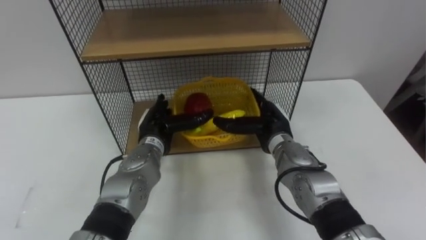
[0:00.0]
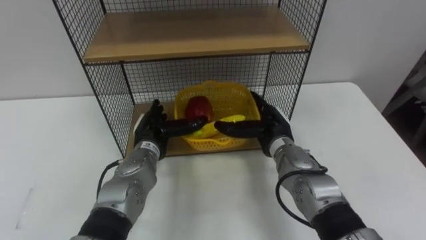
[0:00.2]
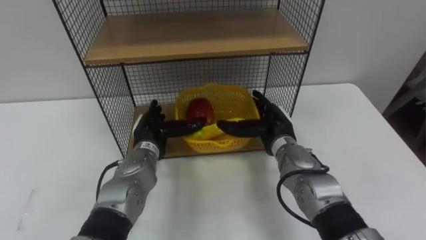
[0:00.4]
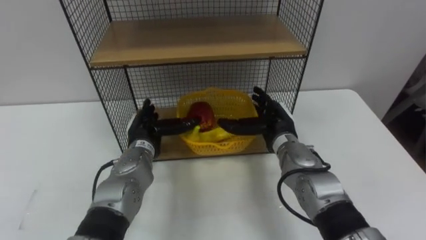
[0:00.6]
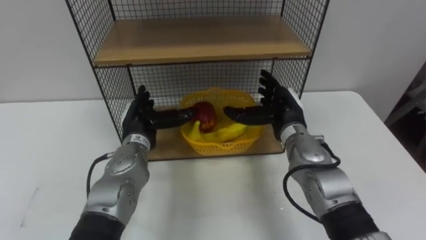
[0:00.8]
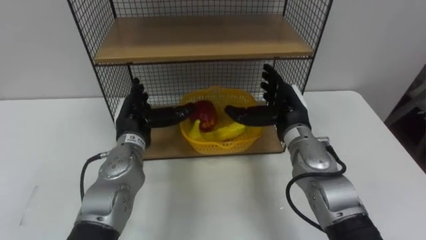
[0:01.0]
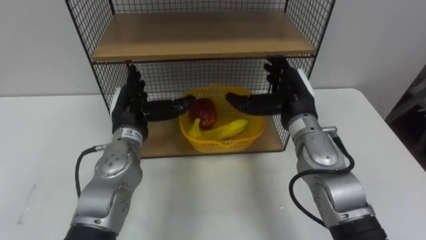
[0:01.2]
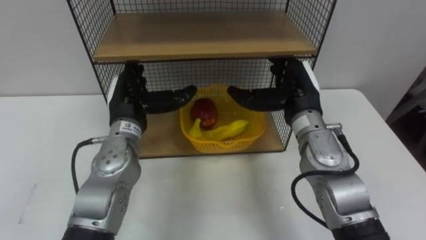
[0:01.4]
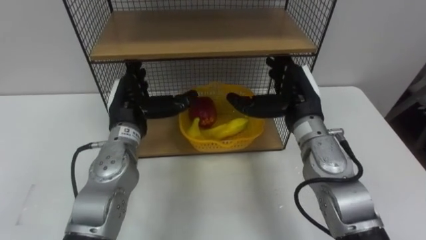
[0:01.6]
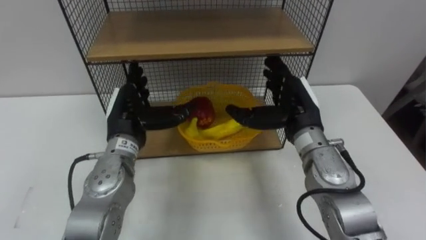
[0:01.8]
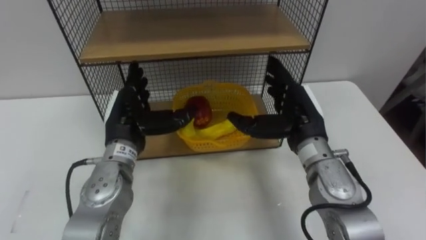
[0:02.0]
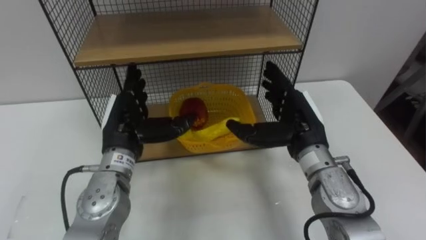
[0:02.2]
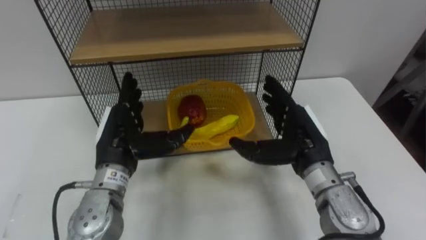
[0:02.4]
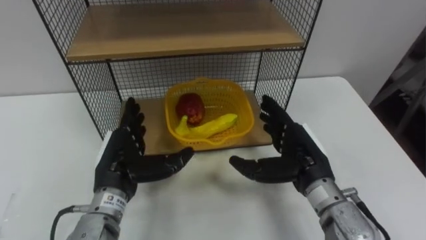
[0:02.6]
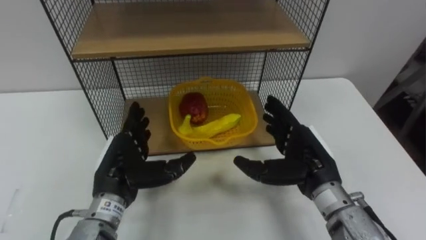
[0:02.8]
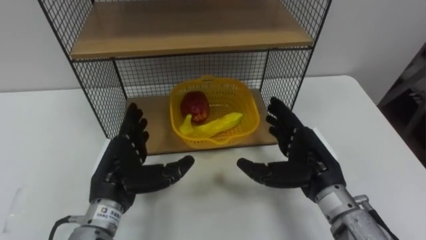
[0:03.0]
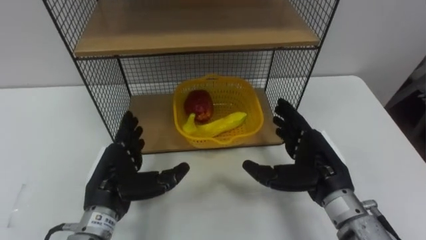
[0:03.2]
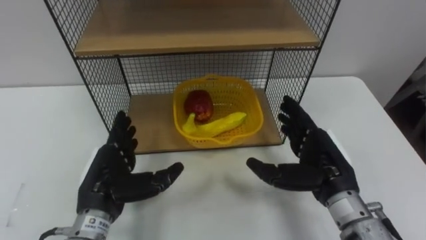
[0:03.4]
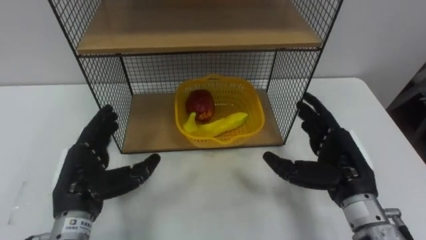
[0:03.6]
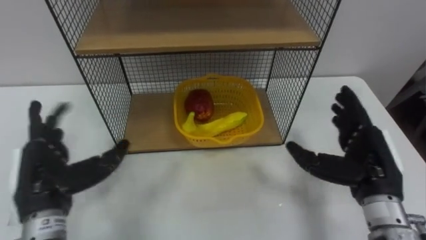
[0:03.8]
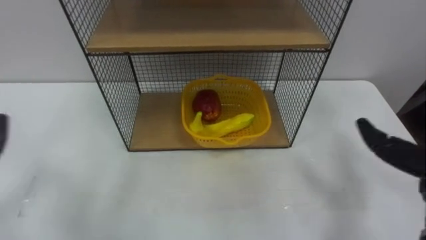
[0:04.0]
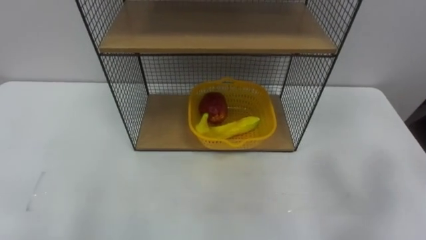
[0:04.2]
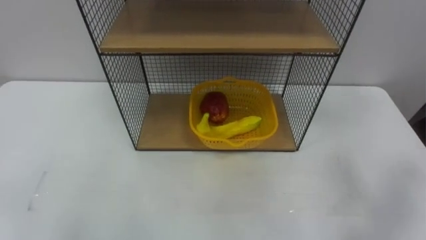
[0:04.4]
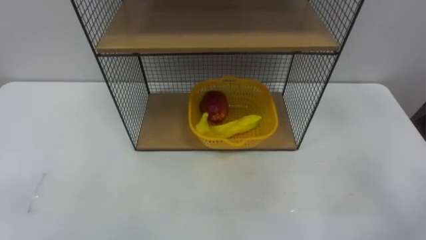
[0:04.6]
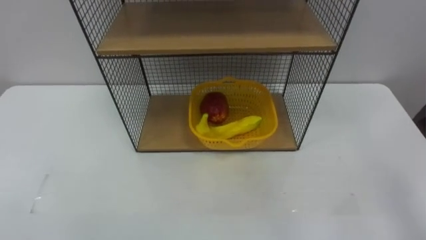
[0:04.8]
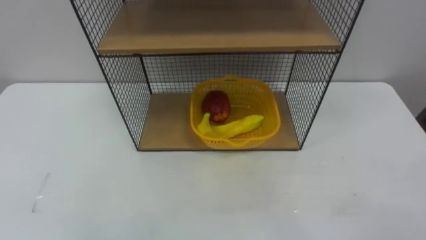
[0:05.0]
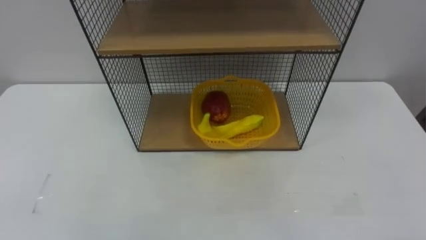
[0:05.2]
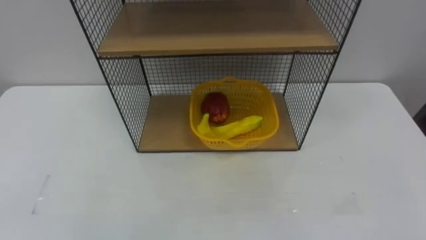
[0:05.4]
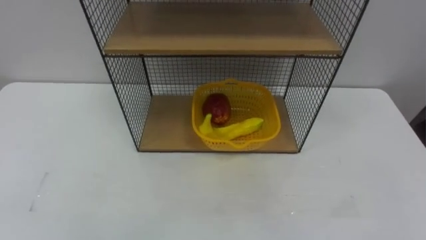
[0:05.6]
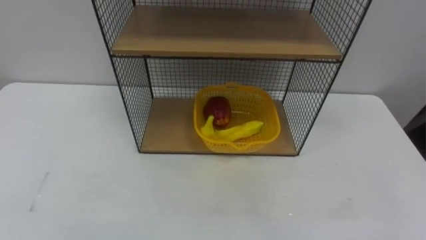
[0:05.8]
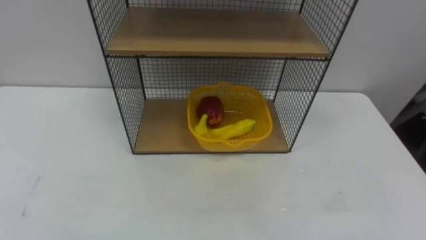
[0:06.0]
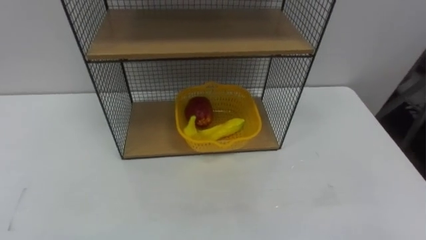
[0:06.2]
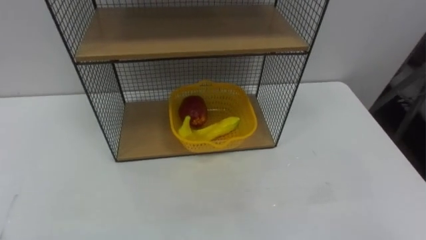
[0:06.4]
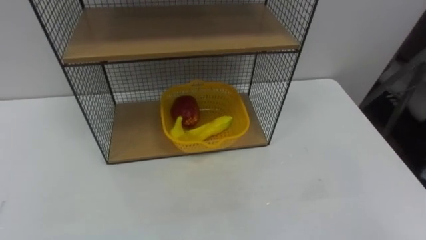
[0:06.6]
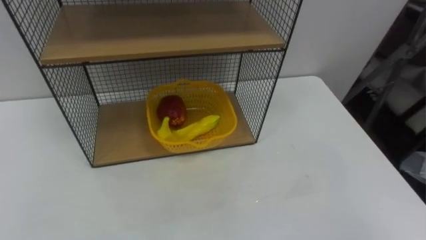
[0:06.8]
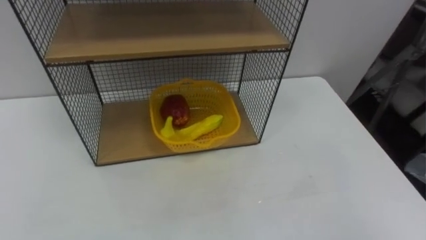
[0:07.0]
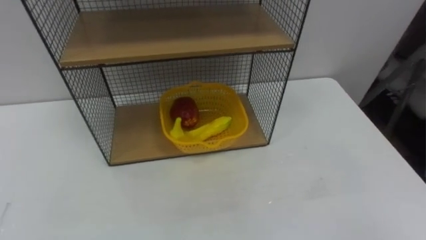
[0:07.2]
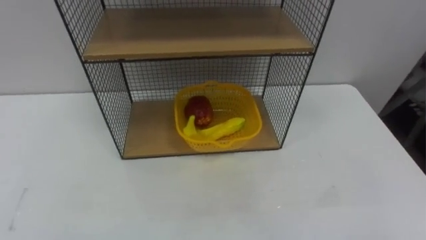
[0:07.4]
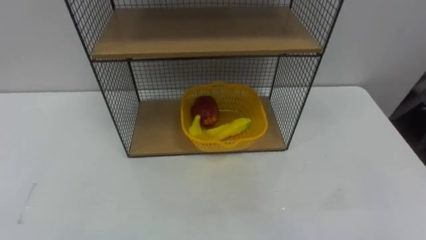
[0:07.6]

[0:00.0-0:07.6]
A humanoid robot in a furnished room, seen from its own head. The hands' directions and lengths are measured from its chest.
Task of the whole recording: Put the fruit on the table into the basket, then place the basket on the shelf.
0:00.0 to 0:01.6: Both hands travel together upward, roughly 10 cm.
0:01.6 to 0:03.0: The left hand travels backward by about 10 cm, while the right hand shifts roughly 10 cm backward and downward.

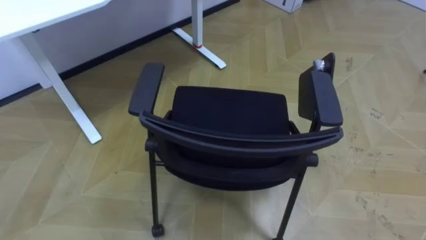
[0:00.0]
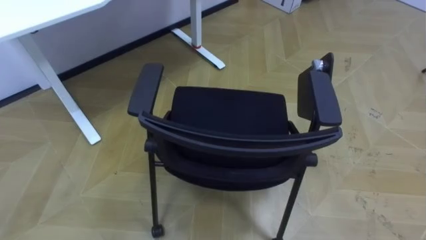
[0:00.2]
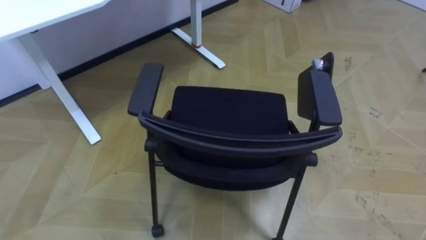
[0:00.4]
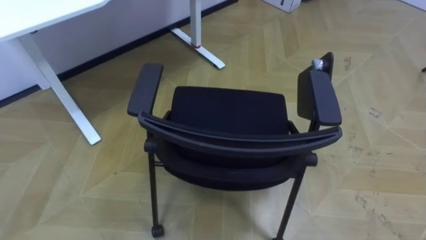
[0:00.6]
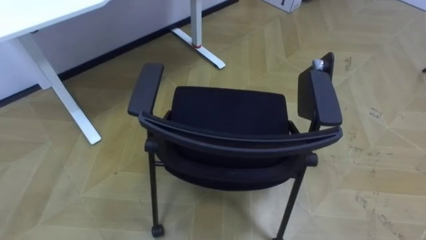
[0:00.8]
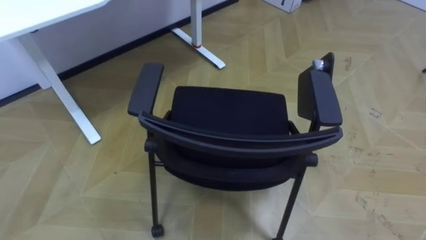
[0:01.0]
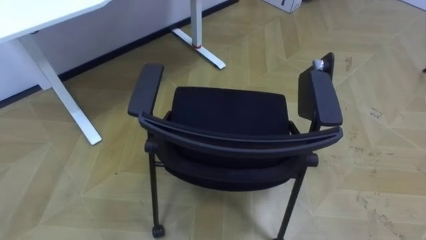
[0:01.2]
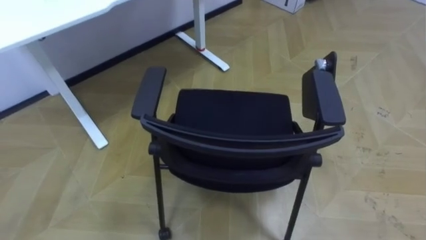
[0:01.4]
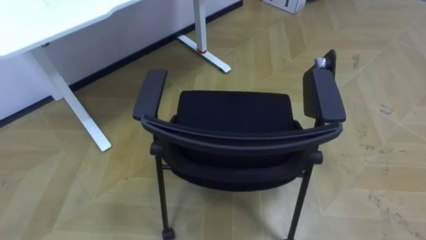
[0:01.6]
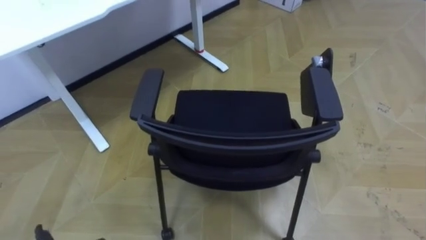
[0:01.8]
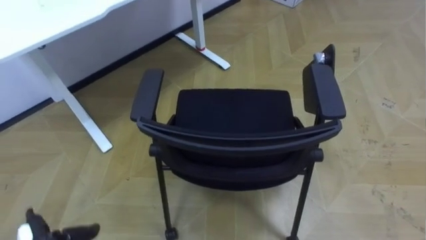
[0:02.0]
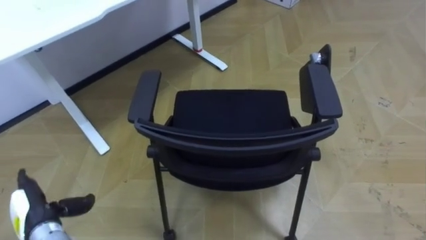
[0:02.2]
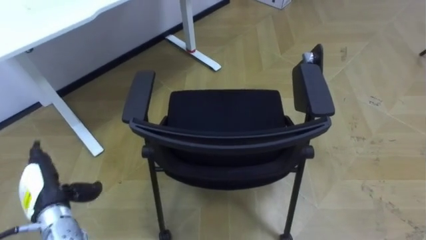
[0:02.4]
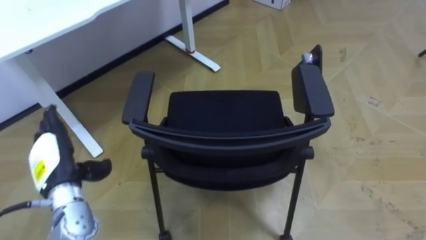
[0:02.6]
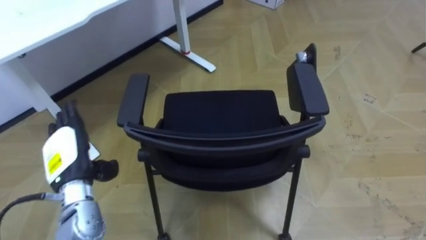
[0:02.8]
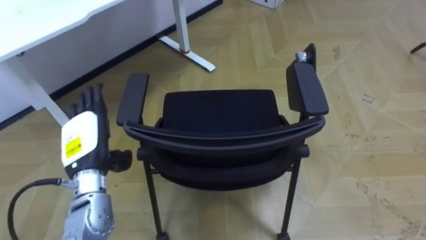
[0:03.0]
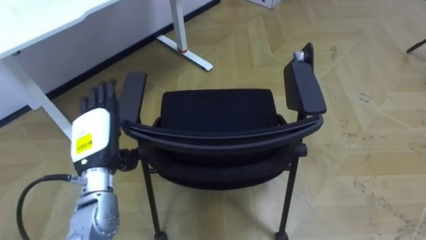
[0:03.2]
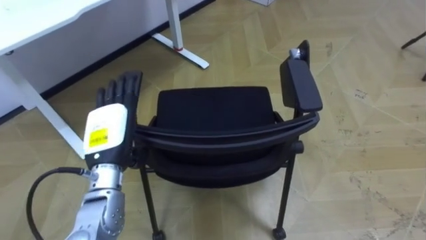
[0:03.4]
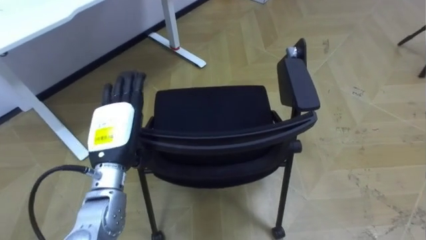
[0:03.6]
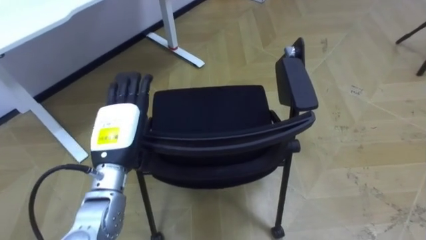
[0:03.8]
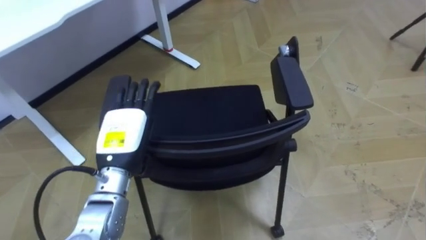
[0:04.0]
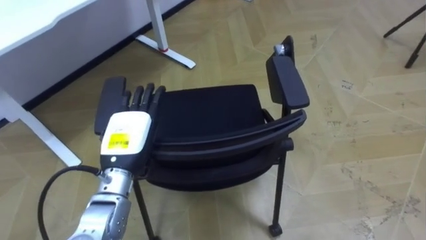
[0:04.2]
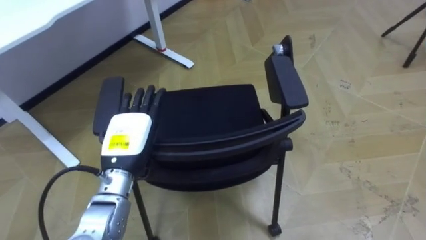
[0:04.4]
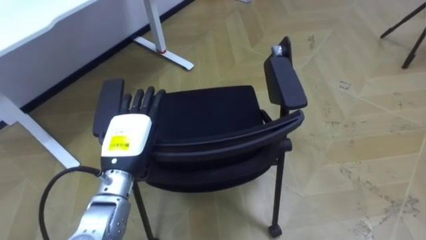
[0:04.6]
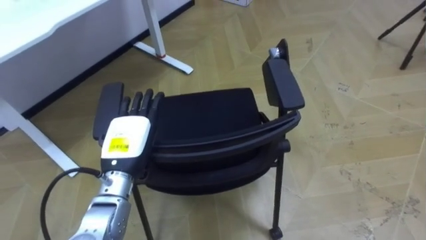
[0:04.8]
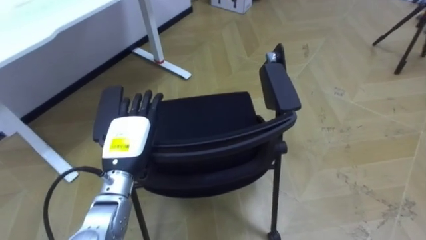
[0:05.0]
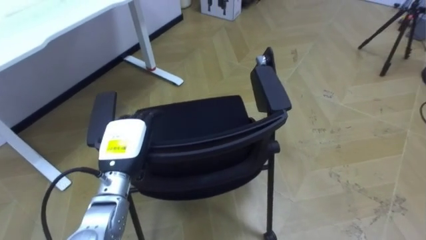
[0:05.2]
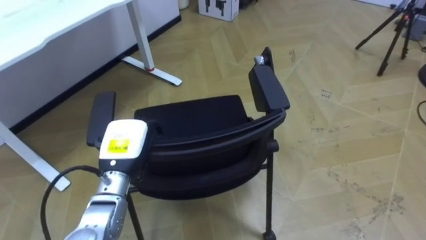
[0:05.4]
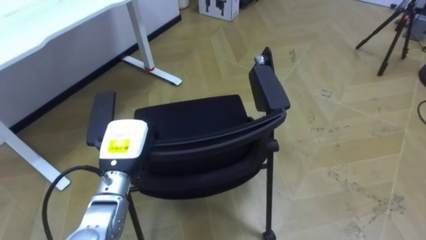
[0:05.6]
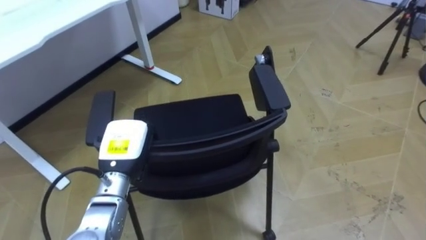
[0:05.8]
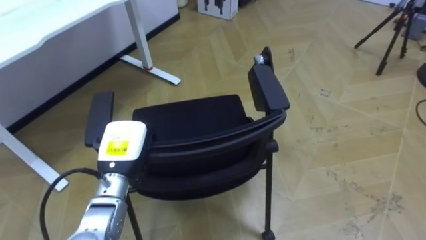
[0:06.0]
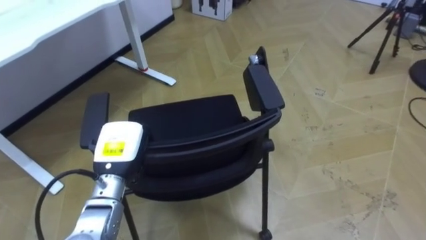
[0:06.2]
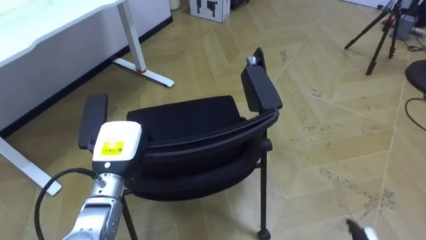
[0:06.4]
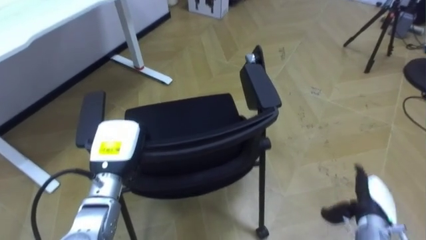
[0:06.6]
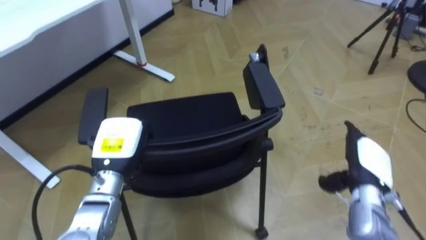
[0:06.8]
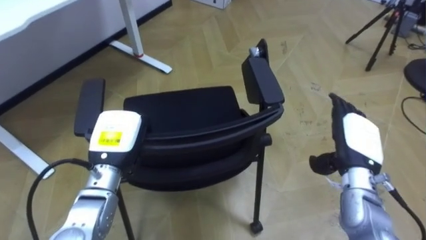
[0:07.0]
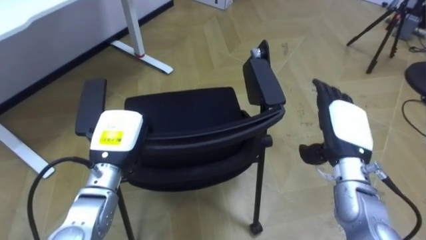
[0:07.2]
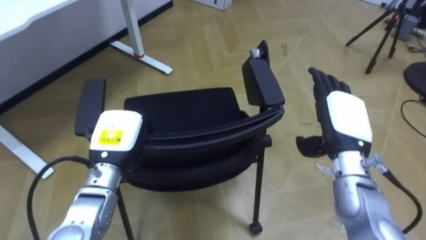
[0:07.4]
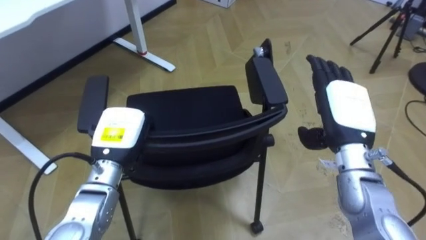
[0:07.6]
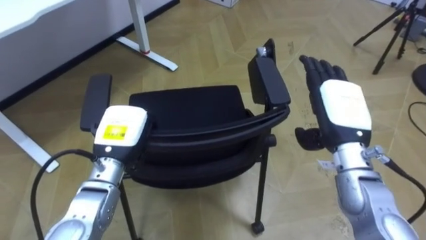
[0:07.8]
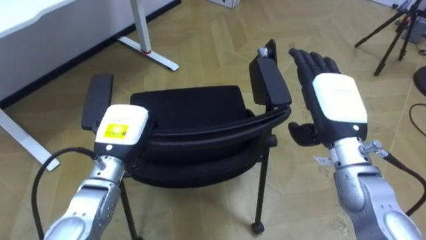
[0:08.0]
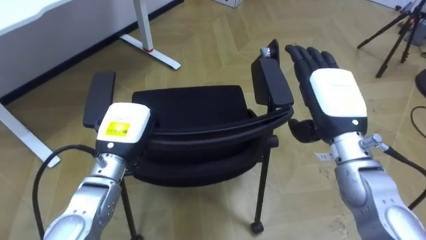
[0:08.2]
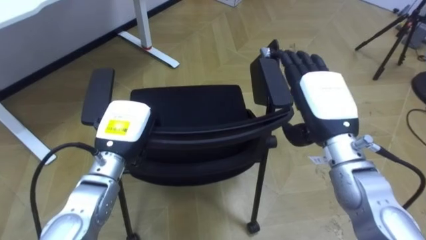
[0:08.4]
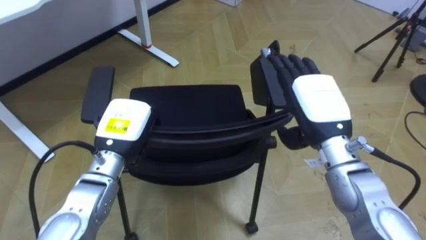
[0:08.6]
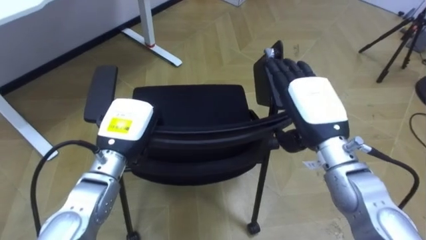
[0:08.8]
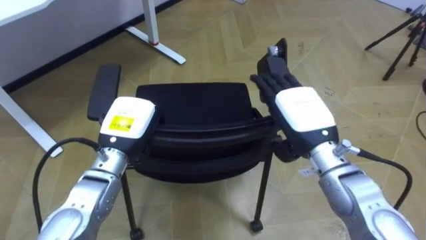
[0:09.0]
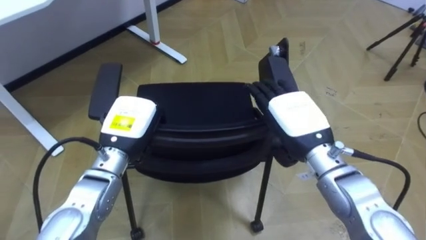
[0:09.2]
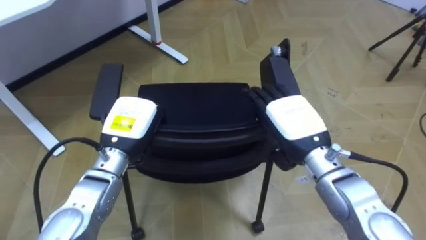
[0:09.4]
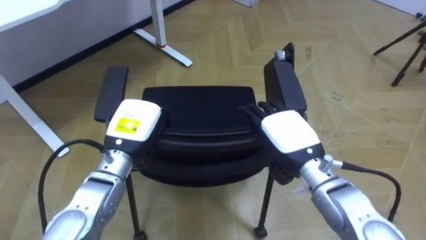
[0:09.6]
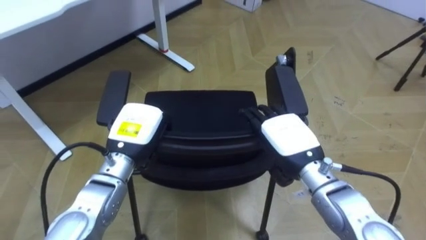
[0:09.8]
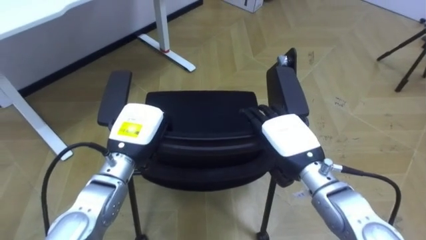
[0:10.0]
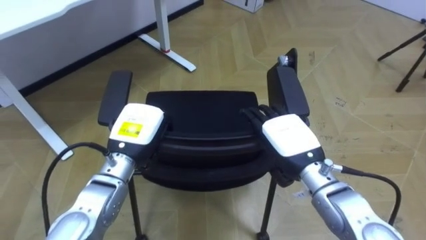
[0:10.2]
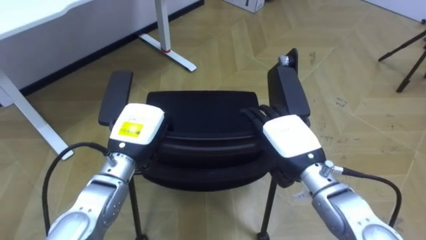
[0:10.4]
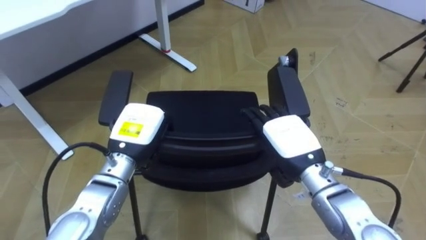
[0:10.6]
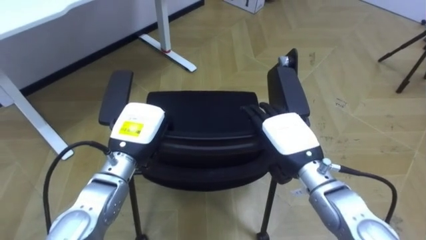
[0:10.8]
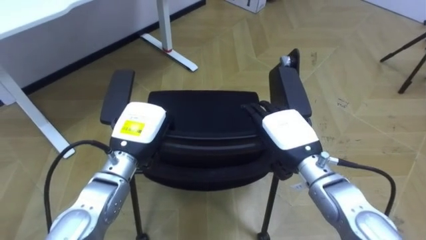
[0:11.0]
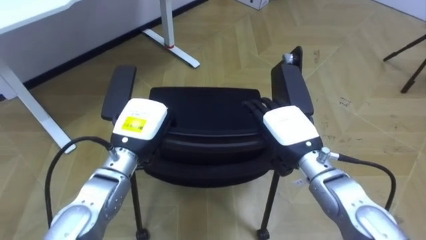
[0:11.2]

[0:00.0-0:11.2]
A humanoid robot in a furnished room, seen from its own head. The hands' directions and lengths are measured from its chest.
Task of the whole recording: Push the chair under the table.
0:03.2 to 0:04.8: The left hand travels to the right by about 5 cm.
0:04.8 to 0:06.4: The left hand closes its fingers.
0:08.0 to 0:09.6: The right hand is displaced downward and to the left by some 10 cm.
